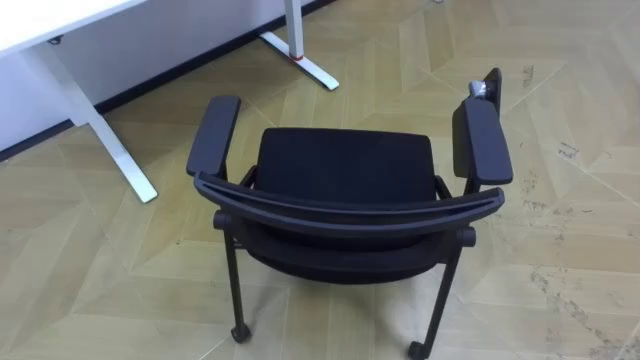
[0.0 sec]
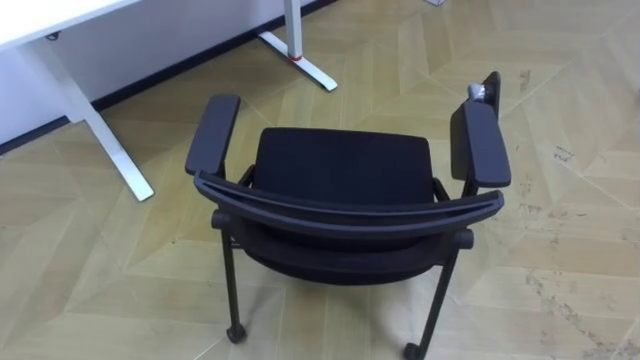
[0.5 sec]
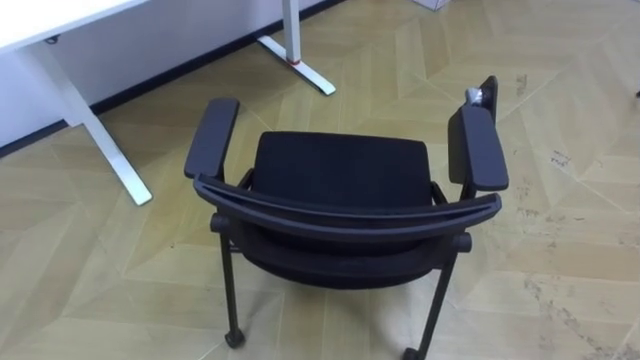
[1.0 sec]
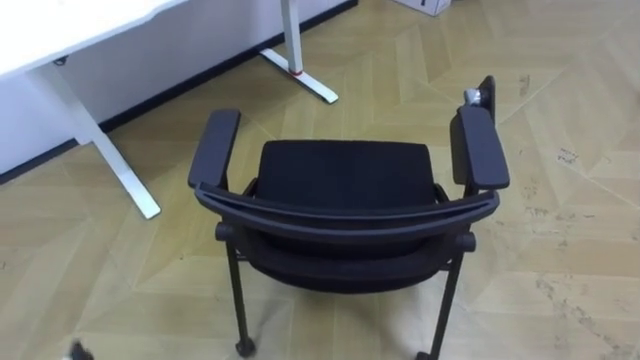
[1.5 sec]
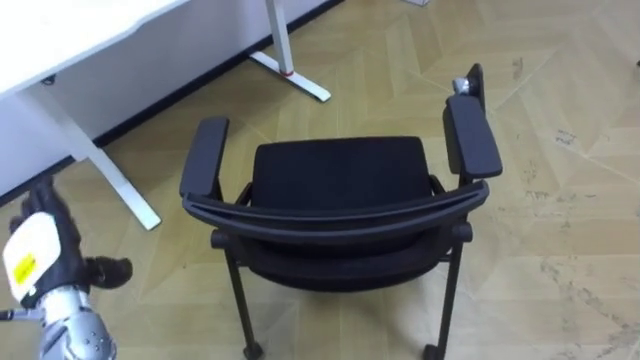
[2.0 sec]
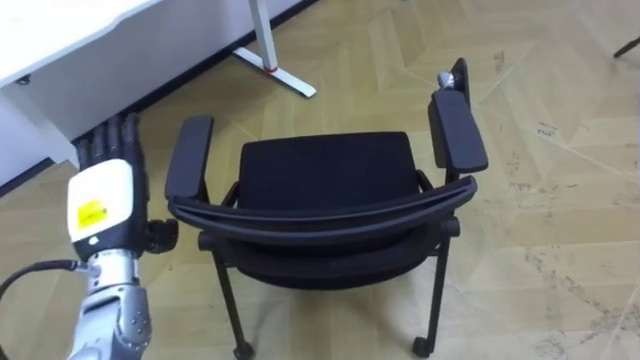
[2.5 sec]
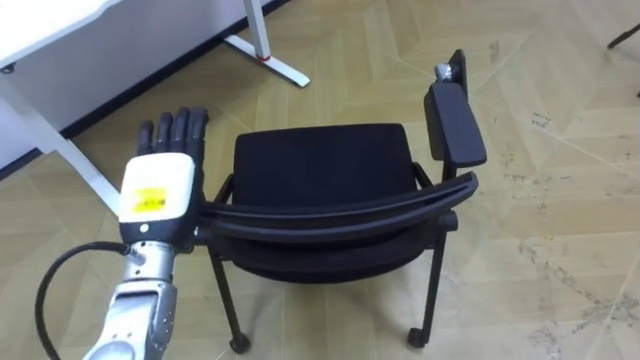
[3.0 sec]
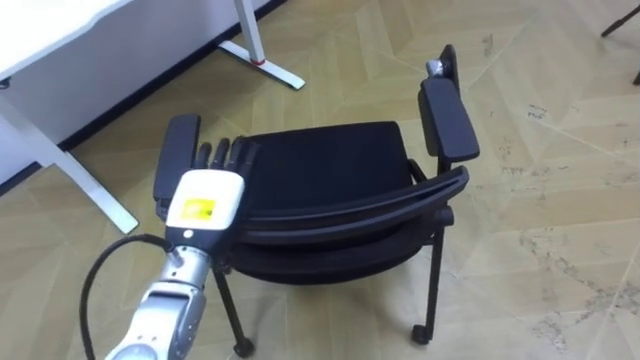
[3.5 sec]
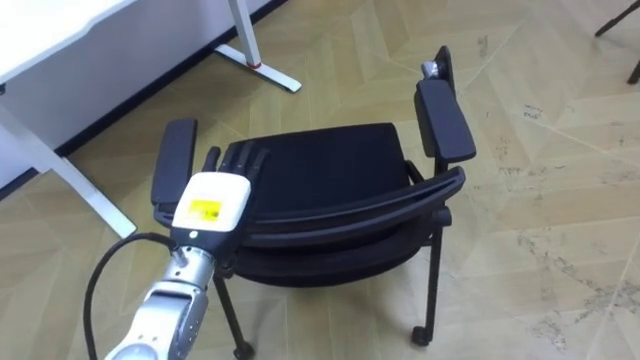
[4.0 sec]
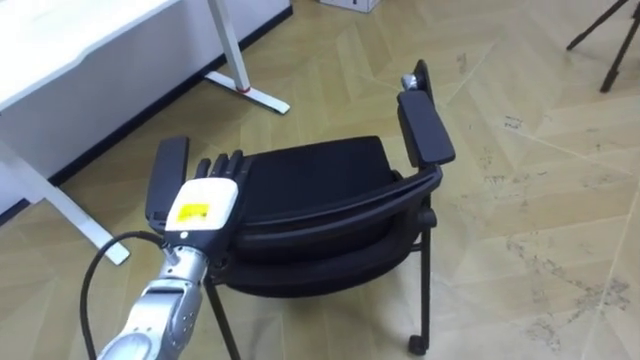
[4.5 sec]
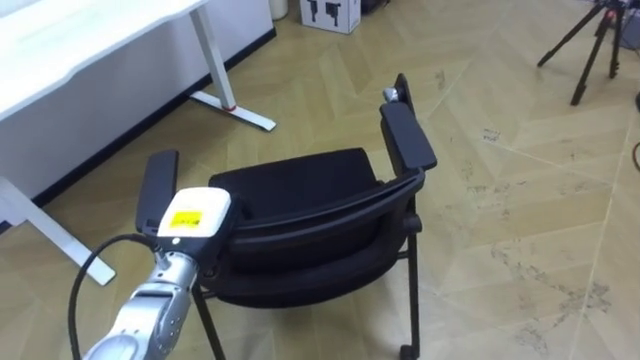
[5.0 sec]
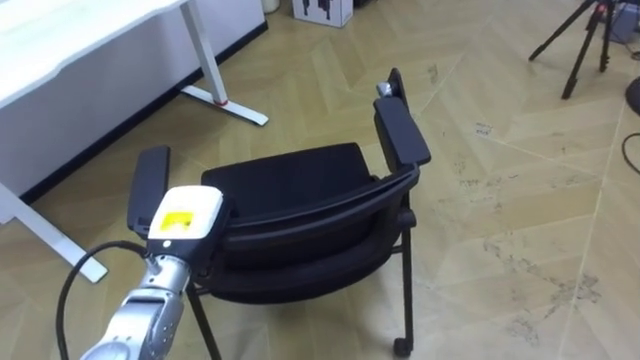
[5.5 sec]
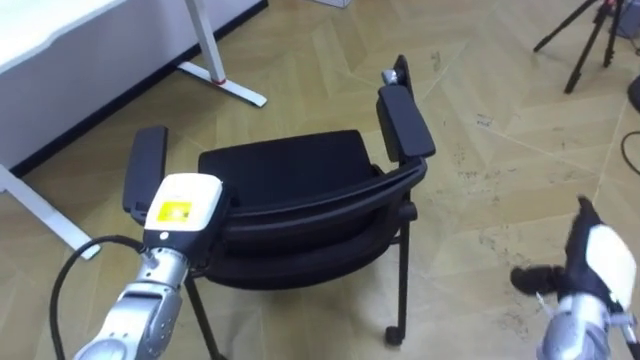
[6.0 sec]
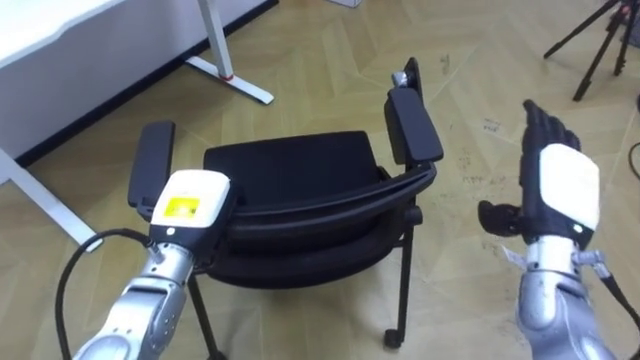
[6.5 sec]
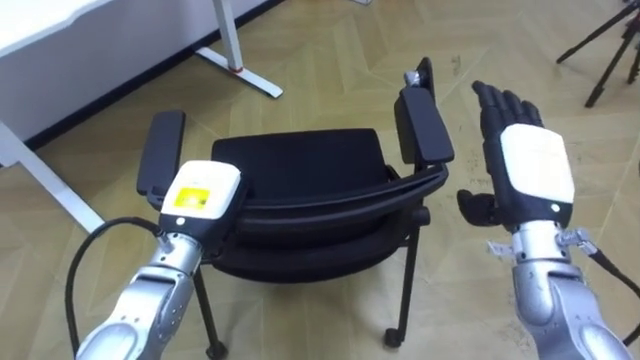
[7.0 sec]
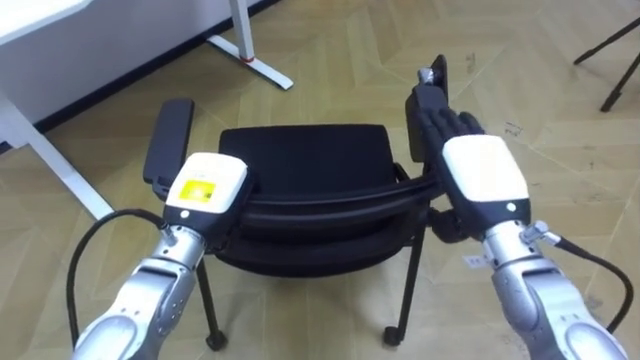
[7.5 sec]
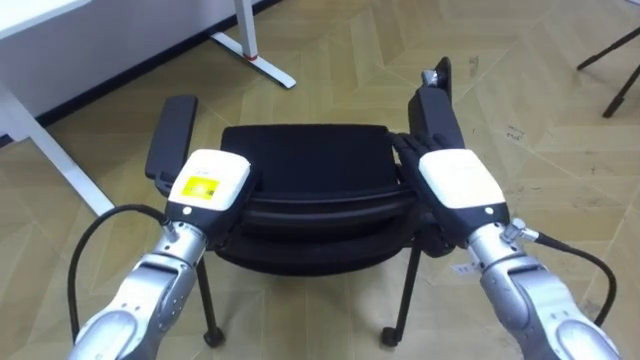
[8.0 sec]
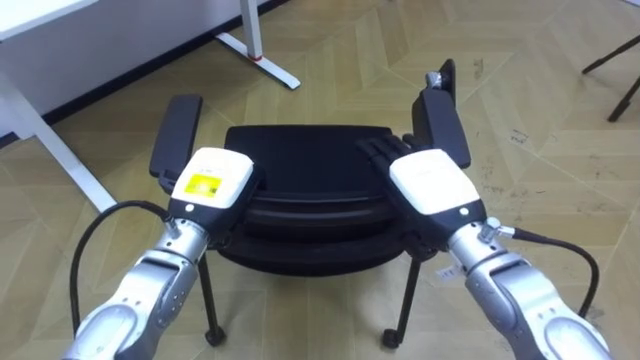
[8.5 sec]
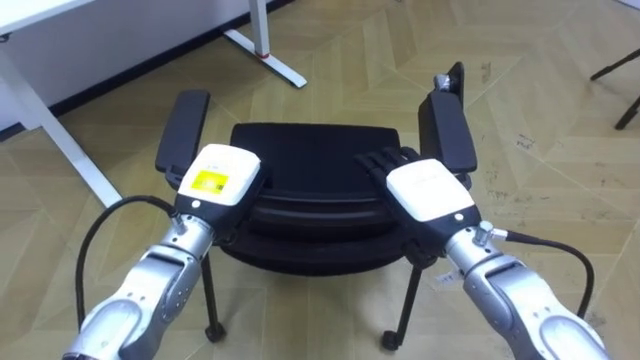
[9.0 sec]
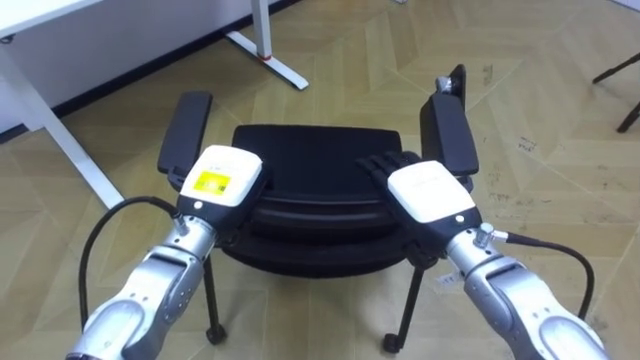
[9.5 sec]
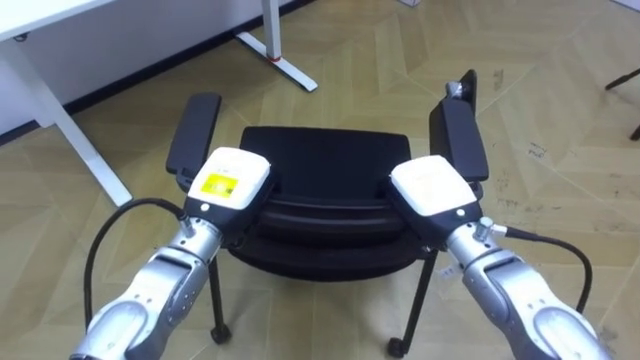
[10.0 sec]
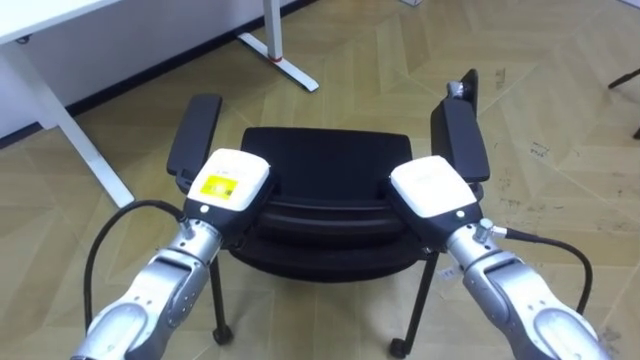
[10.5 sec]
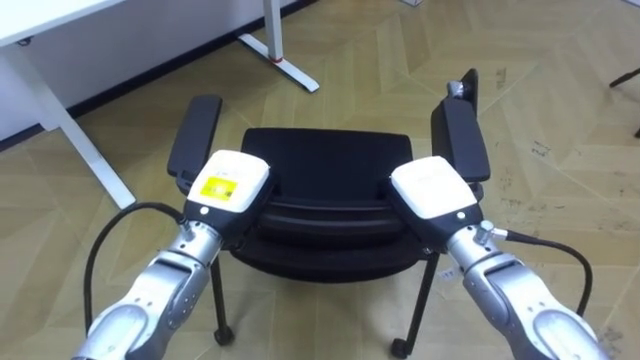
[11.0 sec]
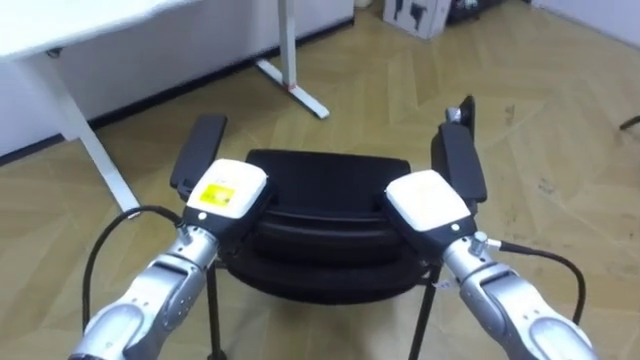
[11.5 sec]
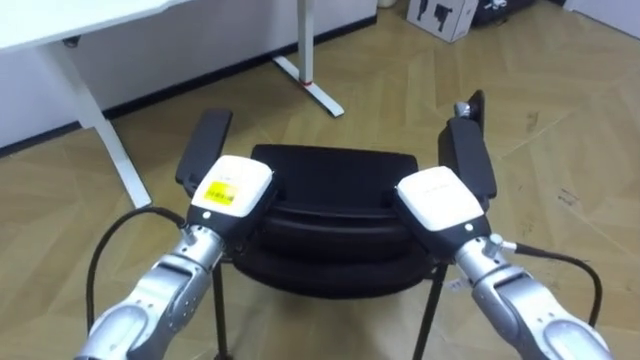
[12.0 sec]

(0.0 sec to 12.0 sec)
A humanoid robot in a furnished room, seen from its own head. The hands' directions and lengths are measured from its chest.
Task of the whole recording: Push the chair under the table.
2.0 sec - 4.0 sec: The left hand heads to the right, covering about 20 cm.
4.0 sec - 6.0 sec: The left hand closes its fingers.
6.0 sec - 8.0 sec: The right hand goes approximately 20 cm to the left and upward.
8.0 sec - 10.0 sec: The right hand closes.

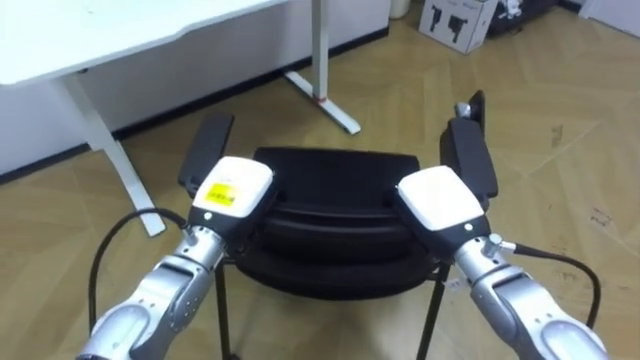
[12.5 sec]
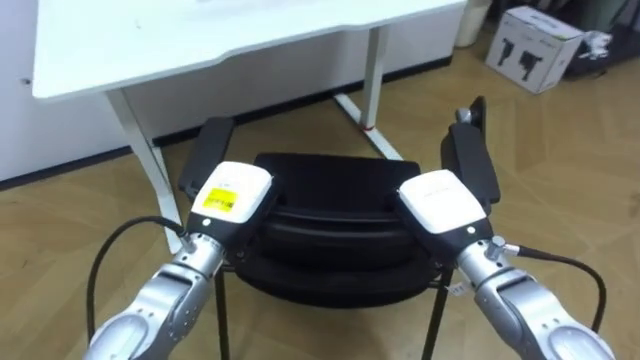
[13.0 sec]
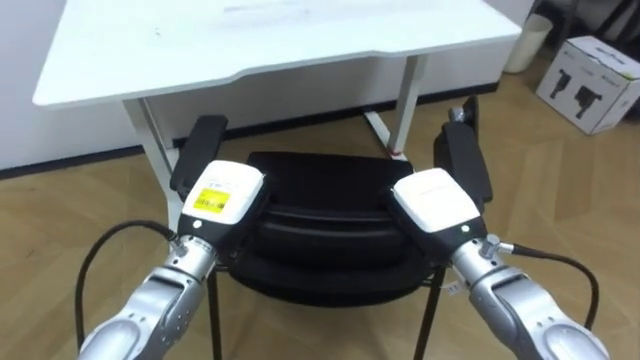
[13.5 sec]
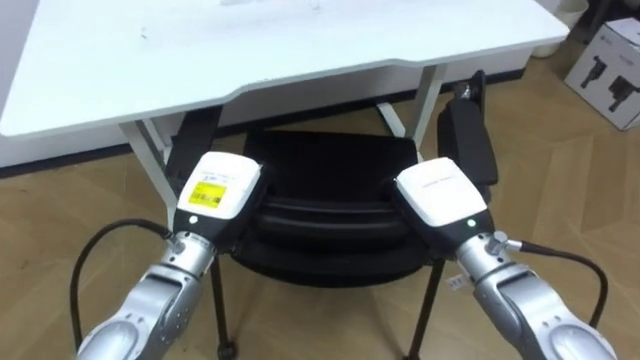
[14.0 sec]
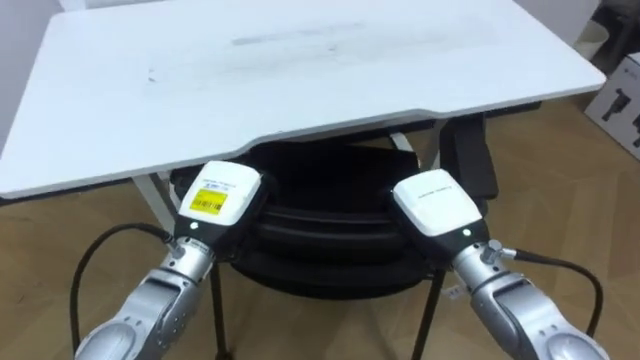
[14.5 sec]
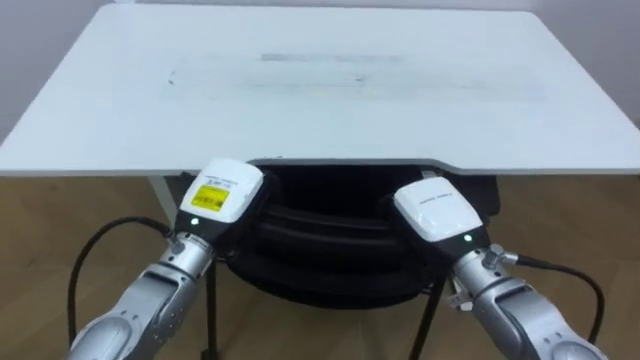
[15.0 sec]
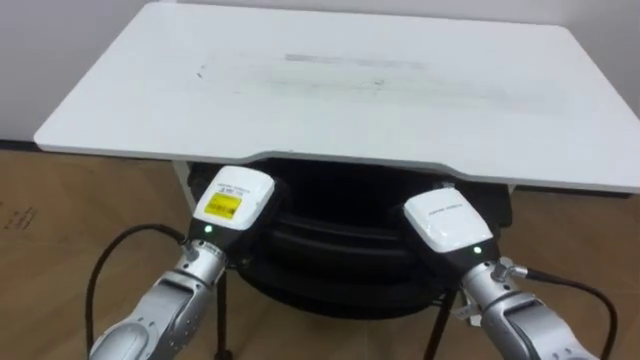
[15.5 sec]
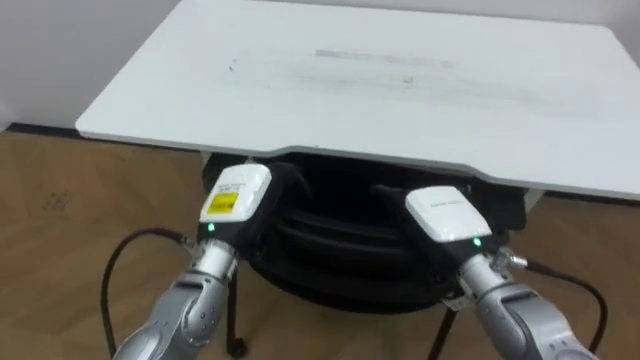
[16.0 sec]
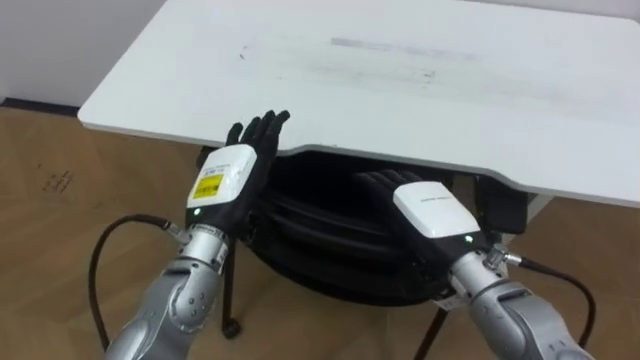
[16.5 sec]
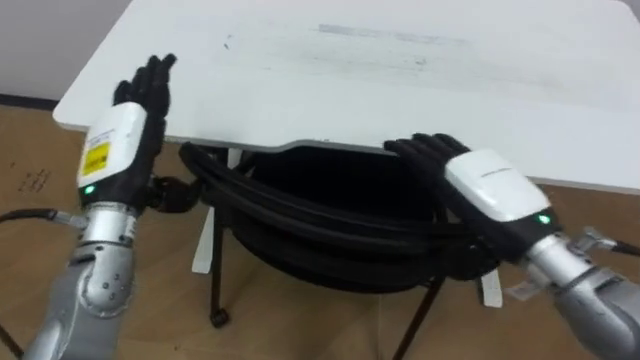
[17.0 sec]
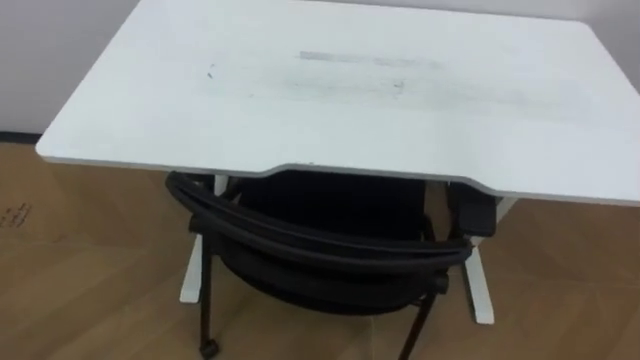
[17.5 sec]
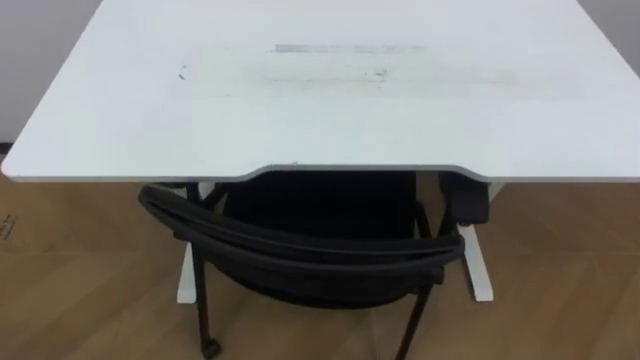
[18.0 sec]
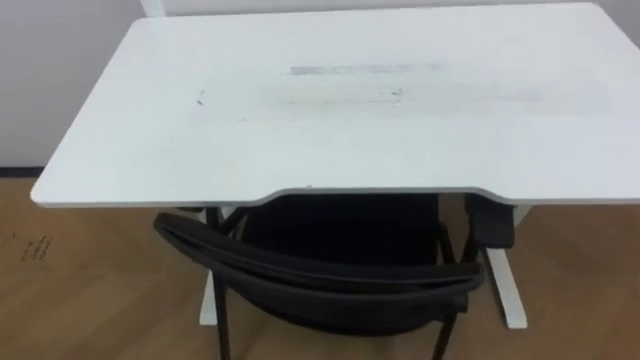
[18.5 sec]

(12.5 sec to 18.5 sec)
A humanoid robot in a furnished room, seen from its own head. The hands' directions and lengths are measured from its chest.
Task of the whole recording: Push the chair under the table.
12.5 sec - 14.5 sec: The robot turns to its left by about 20 degrees.
14.5 sec - 16.5 sec: The robot faces roughly 25 degrees further to its left. The right hand opens its fingers; the left hand opens its fingers.

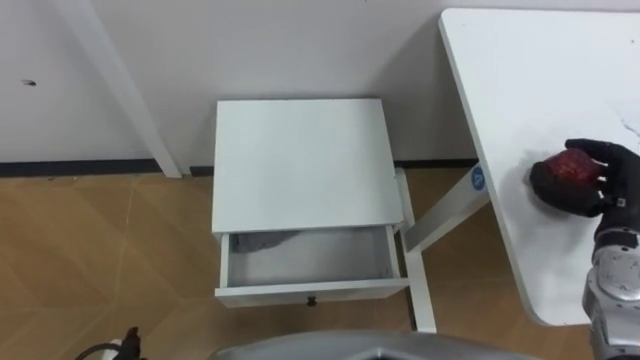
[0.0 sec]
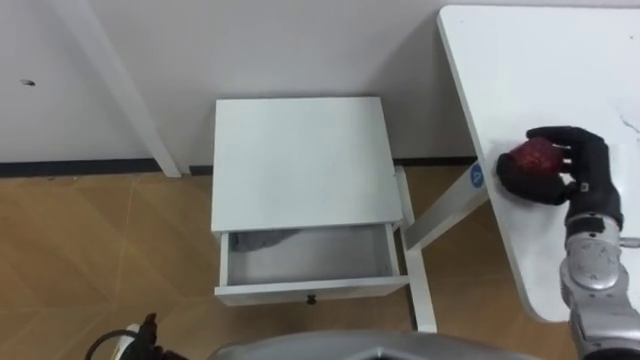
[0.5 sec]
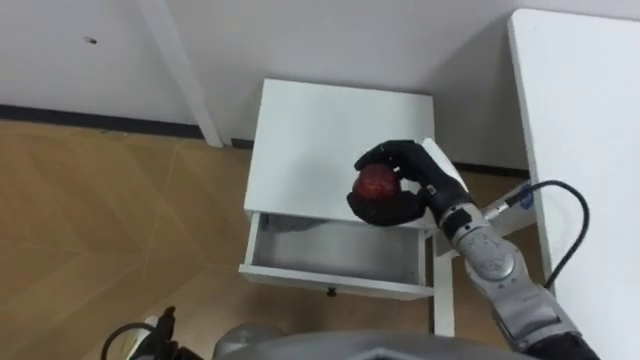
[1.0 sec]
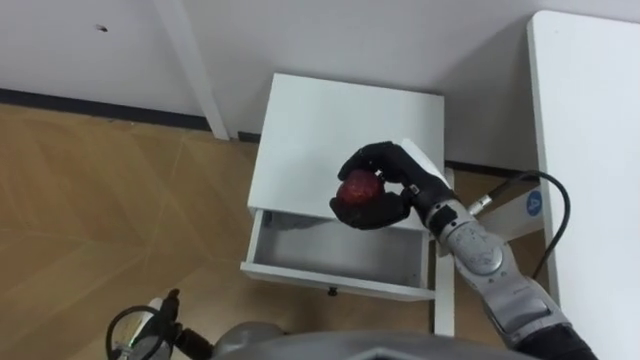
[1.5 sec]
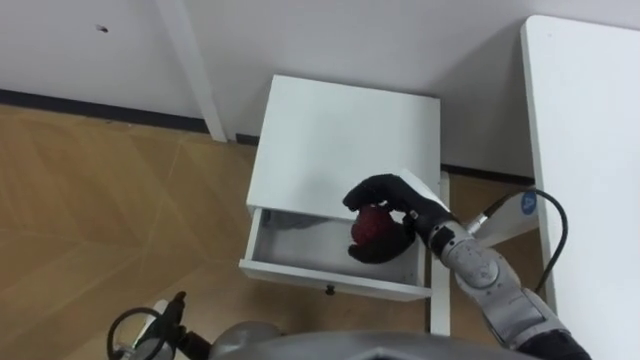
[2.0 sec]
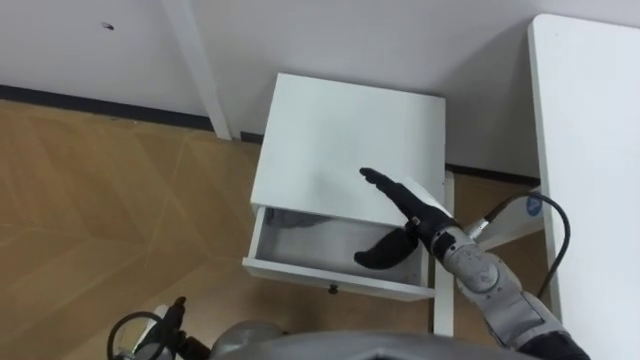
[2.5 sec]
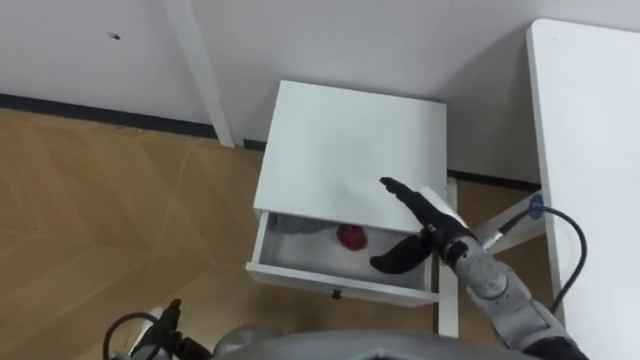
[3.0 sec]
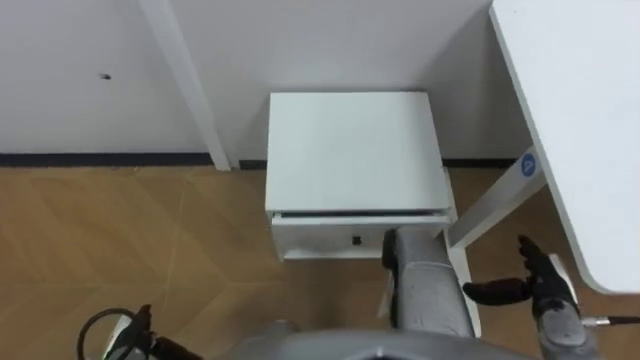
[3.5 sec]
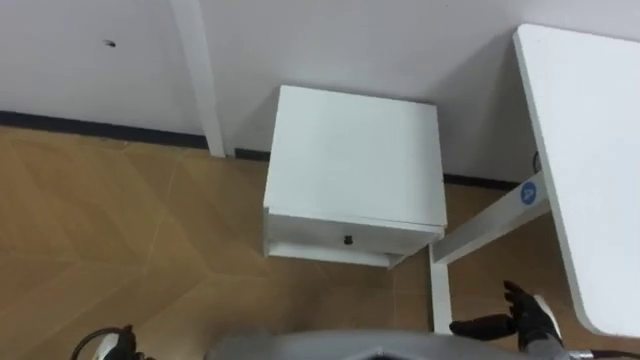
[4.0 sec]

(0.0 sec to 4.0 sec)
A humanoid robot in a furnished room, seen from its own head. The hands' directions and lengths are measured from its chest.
Task of the whole recording: Pick up the apple from the table, put it in the drawer, and close the drawer with leg.
0.0 sec - 2.0 sec: The right hand is displaced to the left by roughly 25 cm.
2.0 sec - 4.0 sec: The right hand is displaced to the right, backward and downward by about 25 cm, and opens.
